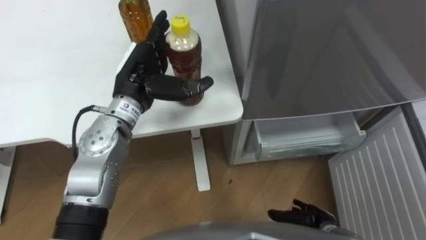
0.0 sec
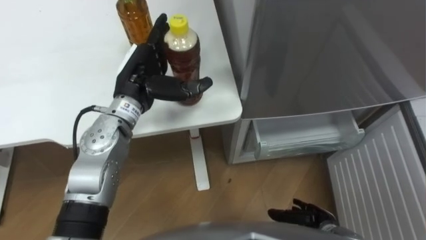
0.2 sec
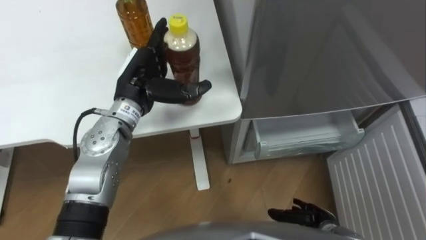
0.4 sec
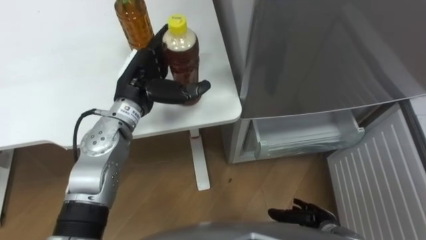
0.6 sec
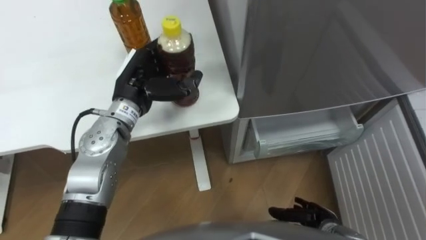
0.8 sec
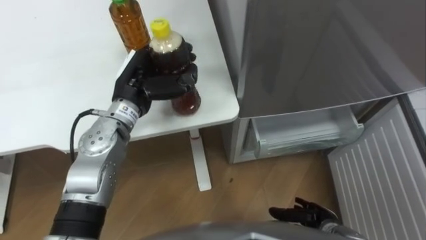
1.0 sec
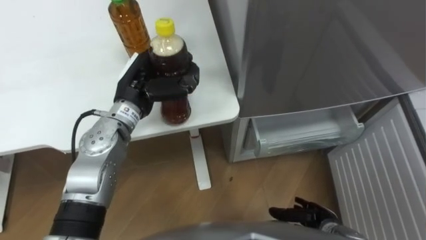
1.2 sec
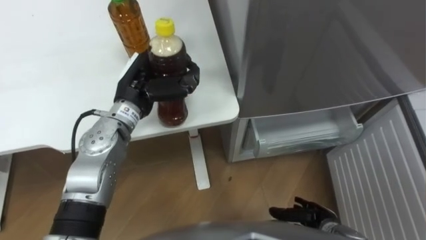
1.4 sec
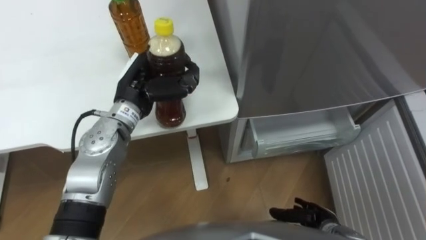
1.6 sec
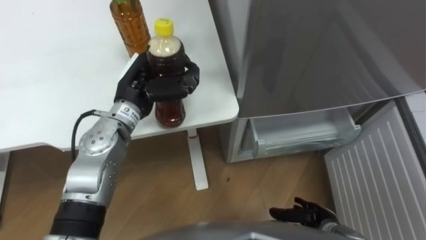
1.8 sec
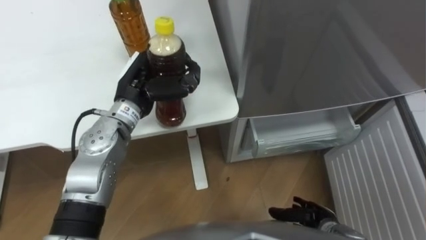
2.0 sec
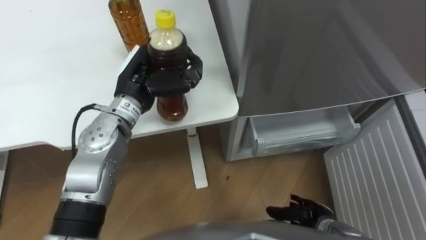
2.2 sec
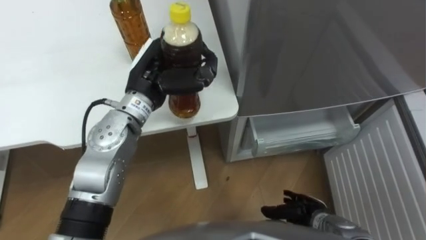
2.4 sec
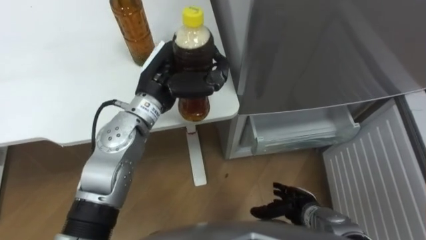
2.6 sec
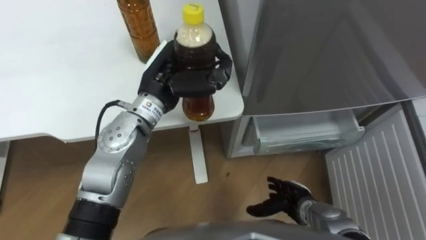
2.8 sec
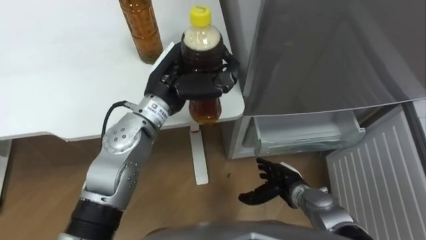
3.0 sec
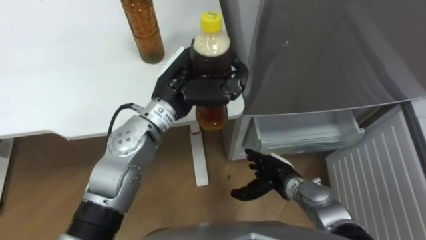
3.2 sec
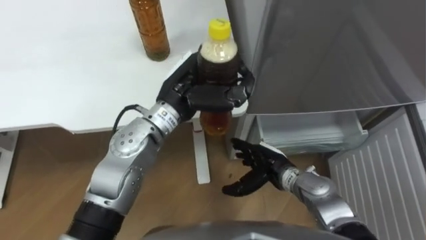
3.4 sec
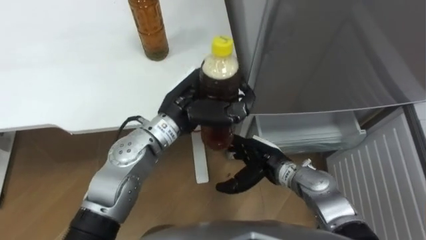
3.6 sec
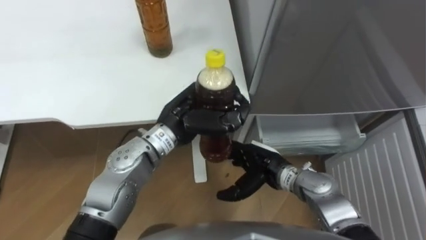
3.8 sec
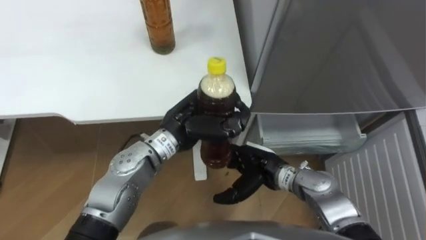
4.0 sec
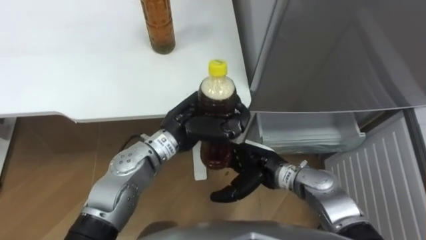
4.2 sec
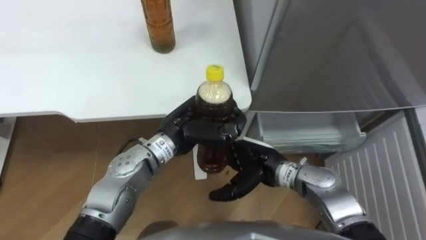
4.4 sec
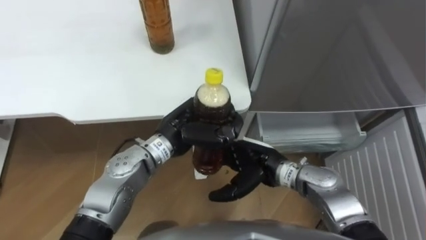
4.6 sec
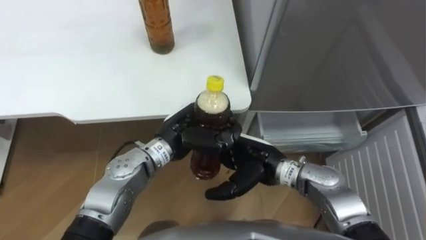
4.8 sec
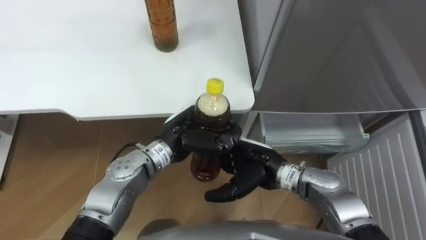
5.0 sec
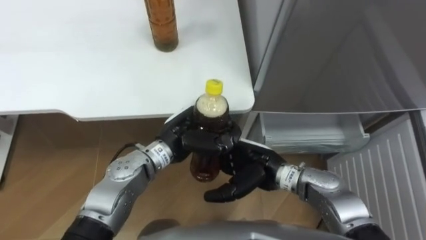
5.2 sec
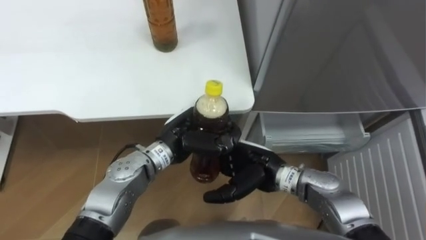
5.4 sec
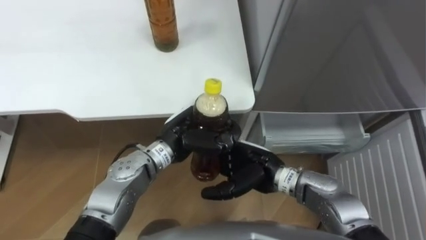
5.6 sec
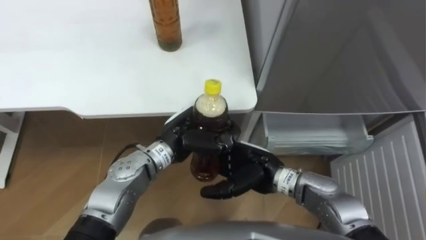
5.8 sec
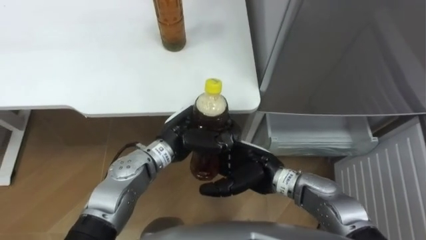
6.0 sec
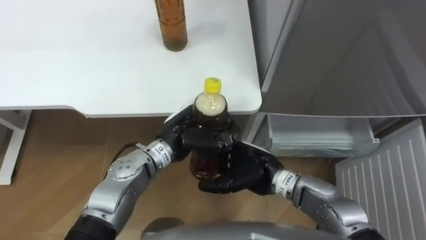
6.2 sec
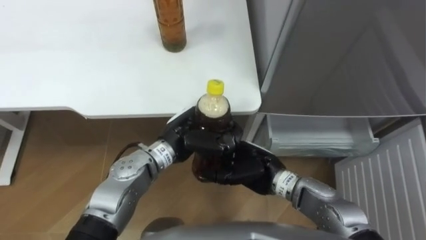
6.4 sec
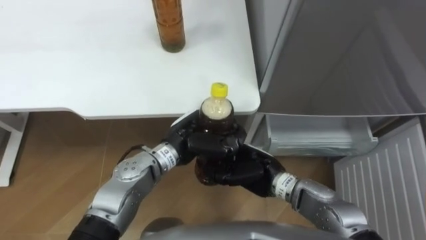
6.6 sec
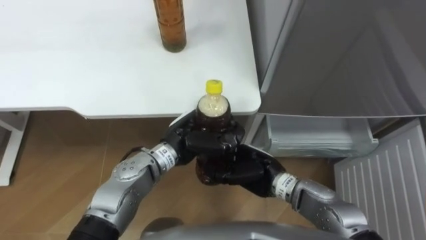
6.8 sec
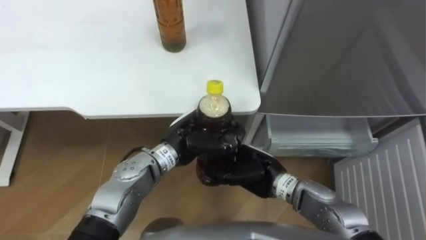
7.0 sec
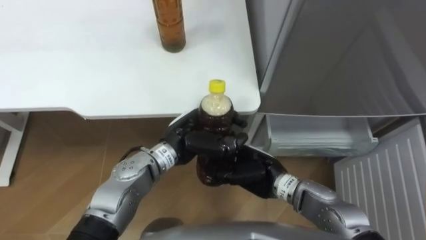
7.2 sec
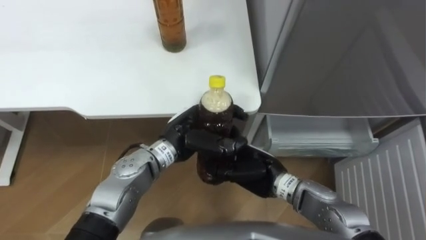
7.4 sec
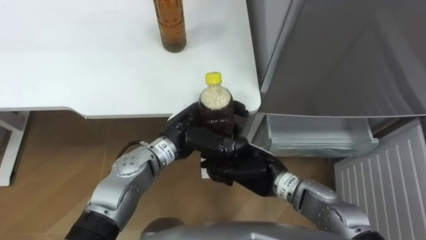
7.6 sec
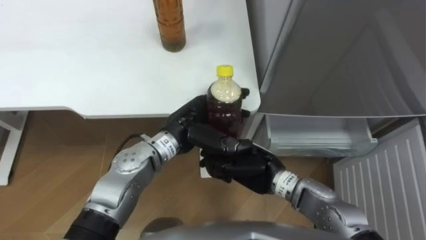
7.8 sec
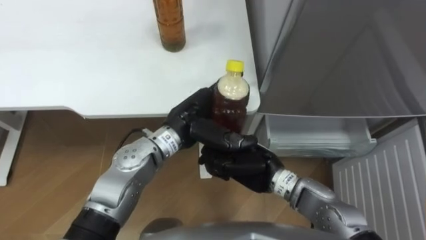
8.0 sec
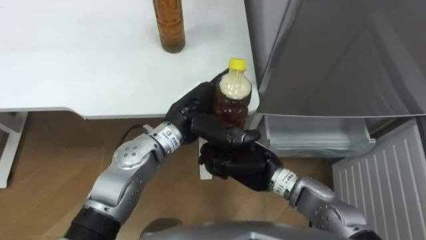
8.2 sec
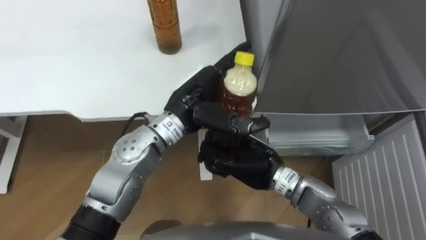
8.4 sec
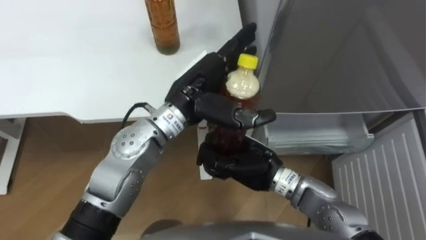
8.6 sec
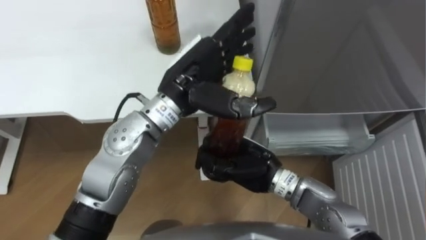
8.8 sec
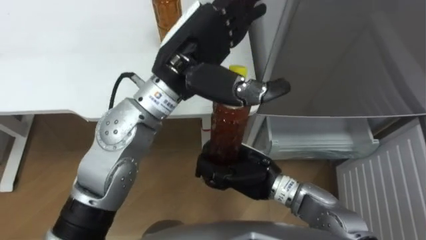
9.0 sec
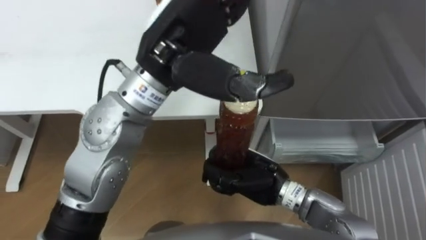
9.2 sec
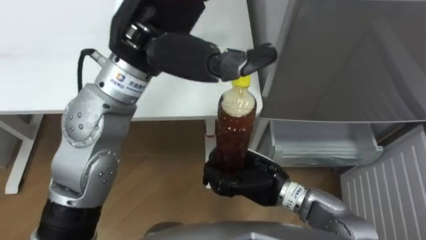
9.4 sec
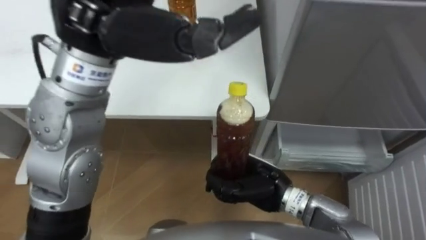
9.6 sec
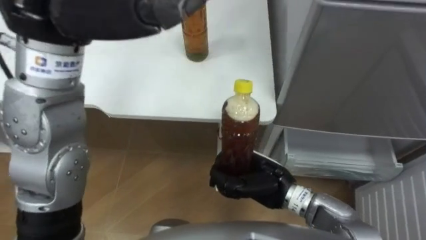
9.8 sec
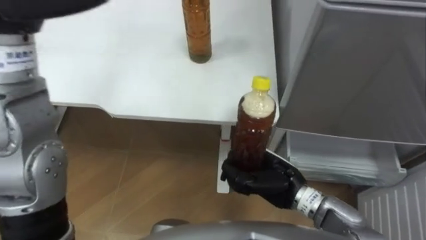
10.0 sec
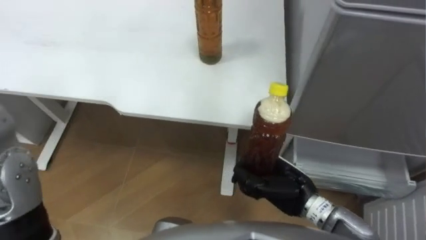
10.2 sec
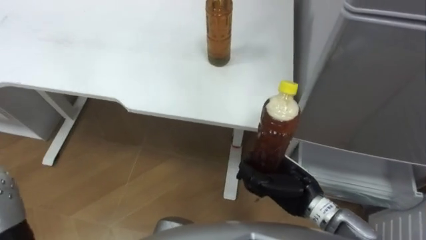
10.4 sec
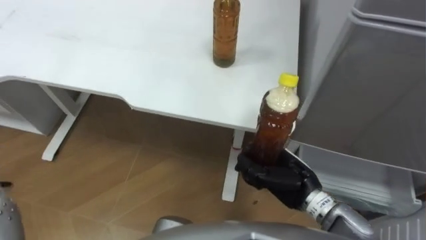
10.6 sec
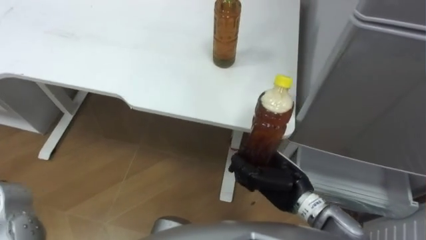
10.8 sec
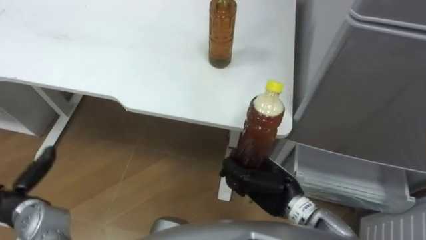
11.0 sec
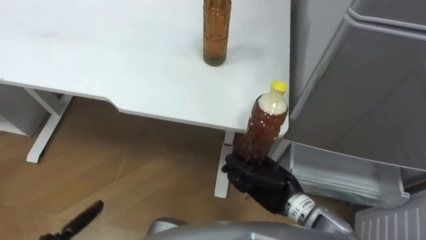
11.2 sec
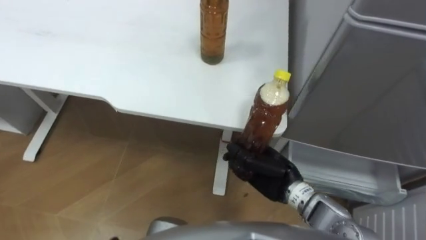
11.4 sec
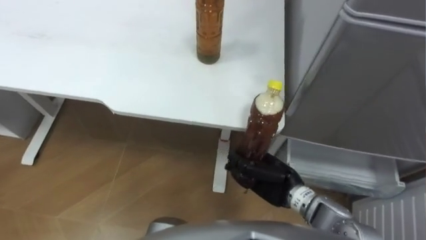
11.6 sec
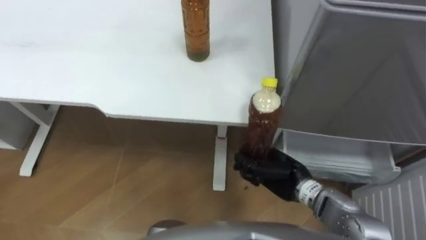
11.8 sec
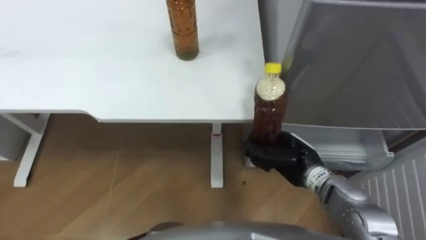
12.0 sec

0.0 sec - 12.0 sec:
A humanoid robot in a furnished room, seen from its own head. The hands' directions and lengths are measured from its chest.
Task of the whole recording: Place the drink on the table on the bottom shelf of the refrigerator, then close the drawer and the refrigerator door.
0.0 sec - 1.6 sec: The left hand closes.
1.6 sec - 3.0 sec: The right hand travels forward and to the left by about 10 cm; the left hand shifts roughly 5 cm to the right.
3.0 sec - 4.4 sec: The left hand is displaced downward by roughly 5 cm. Meanwhile the right hand is displaced upward and to the left by some 10 cm.
6.0 sec - 7.6 sec: The left hand opens up. Meanwhile the right hand closes up.
7.6 sec - 9.0 sec: The left hand shifts approximately 20 cm upward, and opens up.
9.0 sec - 10.4 sec: The right hand travels to the right by roughly 10 cm.
10.4 sec - 12.0 sec: The right hand moves approximately 5 cm.

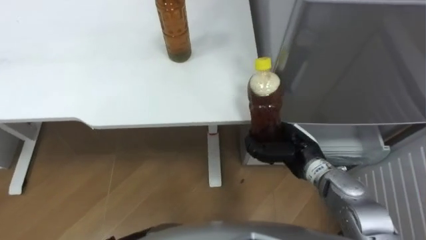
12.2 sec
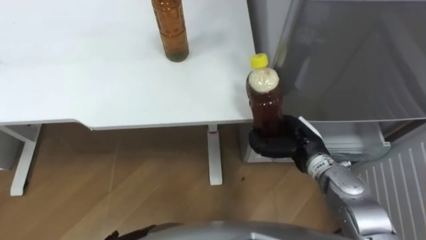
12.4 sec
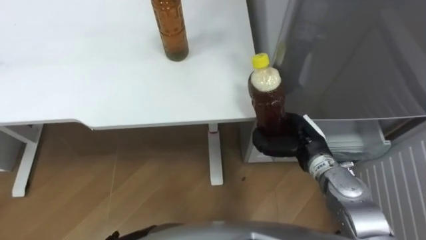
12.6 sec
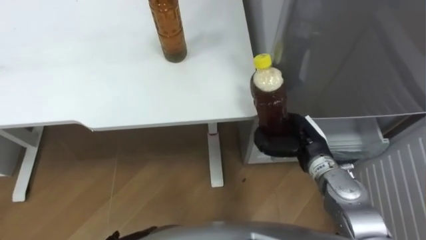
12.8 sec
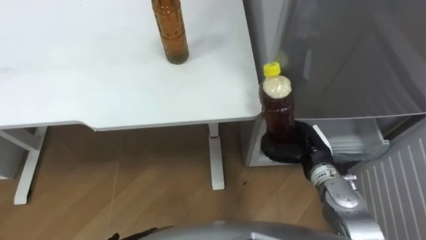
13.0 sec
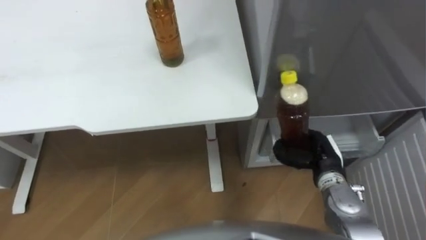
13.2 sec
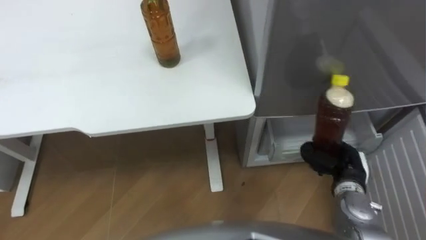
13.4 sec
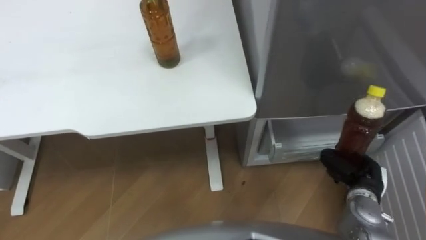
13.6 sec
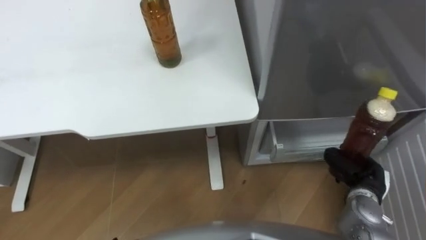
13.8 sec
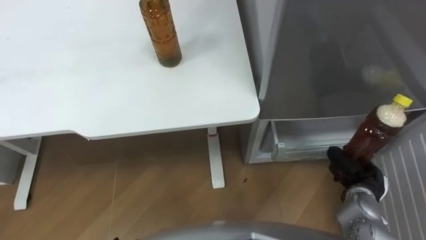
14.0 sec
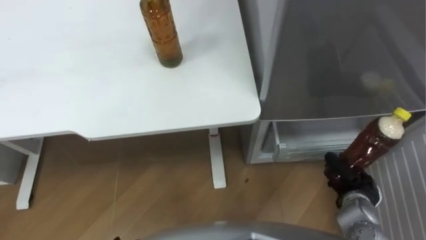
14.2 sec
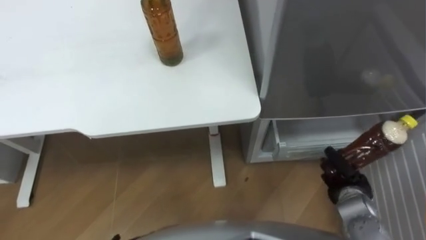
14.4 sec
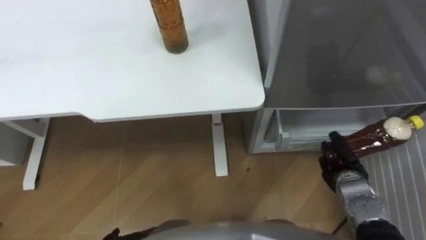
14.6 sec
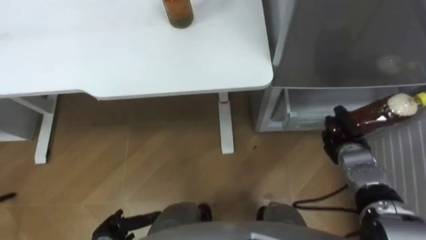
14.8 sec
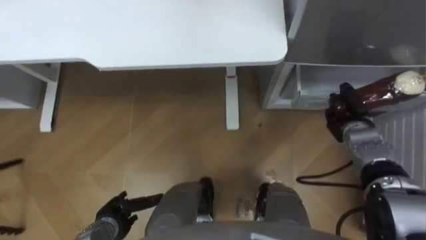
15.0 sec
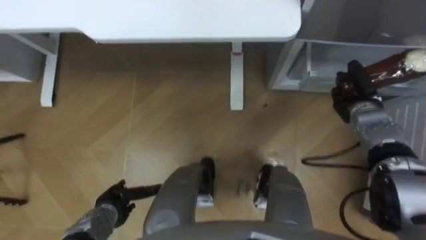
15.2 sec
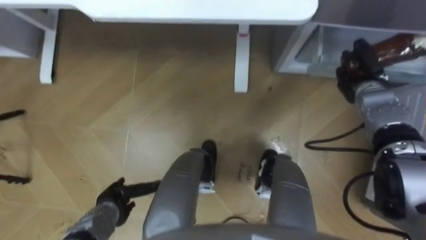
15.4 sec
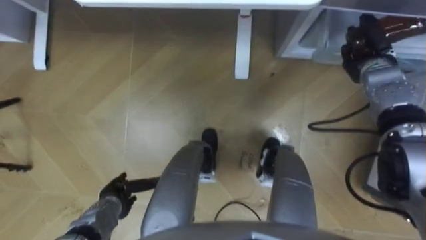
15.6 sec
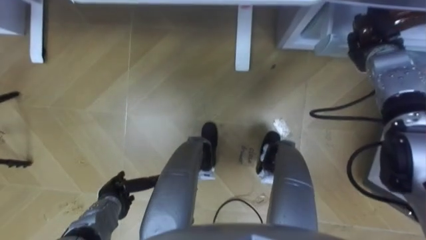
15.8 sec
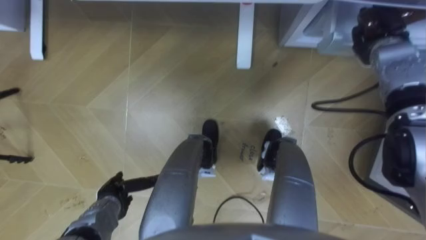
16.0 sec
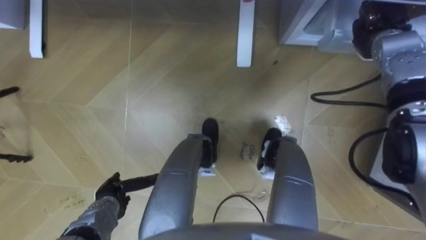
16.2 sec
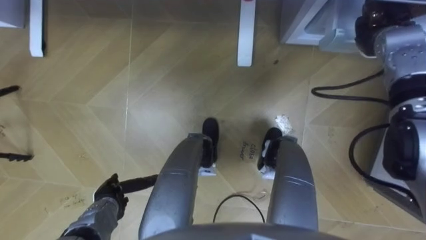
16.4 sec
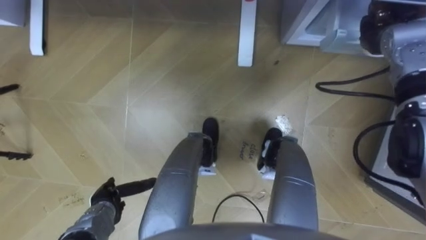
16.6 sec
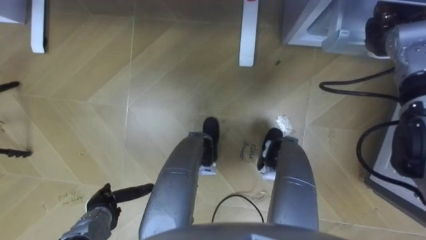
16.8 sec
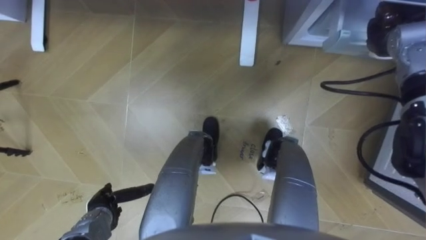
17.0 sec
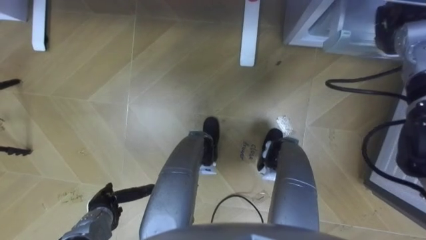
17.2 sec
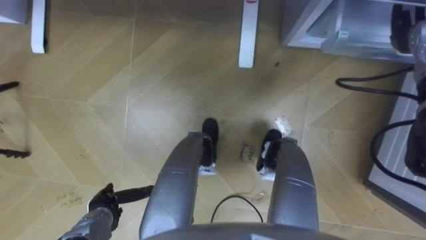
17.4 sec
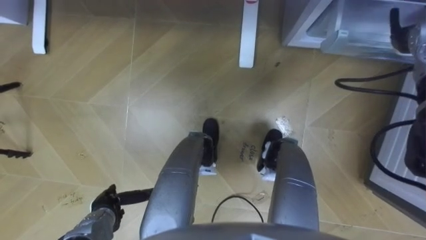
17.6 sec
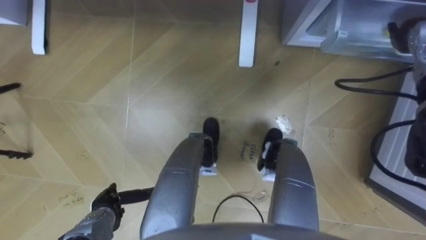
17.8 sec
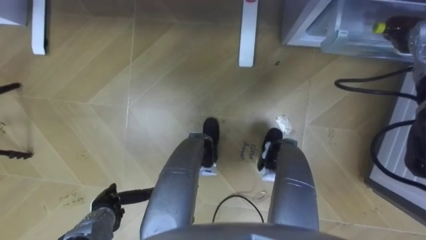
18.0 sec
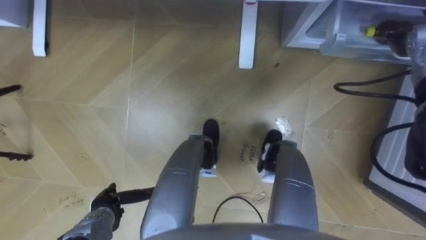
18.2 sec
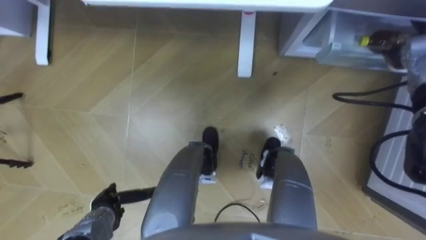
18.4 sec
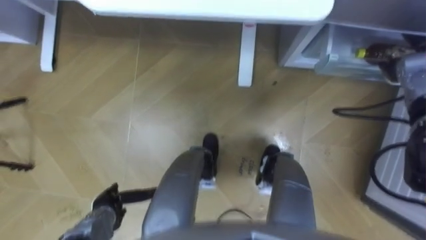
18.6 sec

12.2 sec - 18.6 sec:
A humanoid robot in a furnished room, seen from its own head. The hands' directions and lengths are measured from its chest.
Task of the whole recording: Place the drink on the table on the bottom shelf of the refrigerator, then close the drawer and the refrigerator door.
12.2 sec - 13.8 sec: The right hand heads to the right and backward, covering roughly 15 cm.
13.8 sec - 15.4 sec: The right hand moves forward, roughly 20 cm.
15.4 sec - 17.0 sec: The right hand goes roughly 10 cm upward and forward.
17.0 sec - 18.6 sec: The right hand ends up approximately 5 cm from where it was, and opens its fingers.
